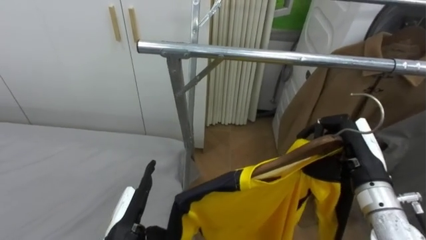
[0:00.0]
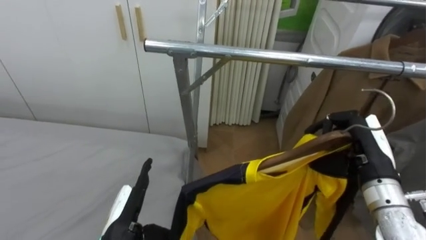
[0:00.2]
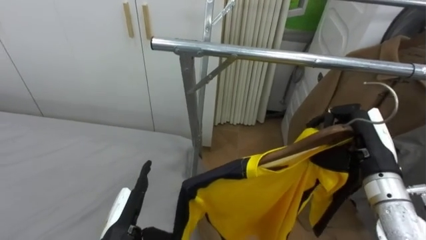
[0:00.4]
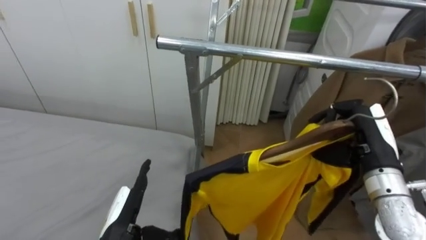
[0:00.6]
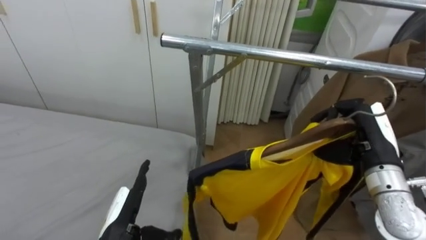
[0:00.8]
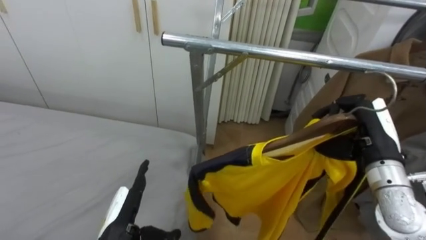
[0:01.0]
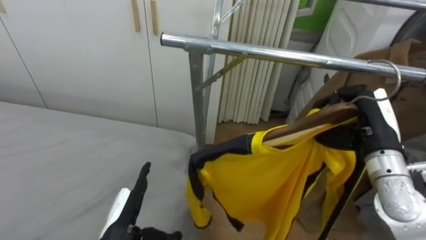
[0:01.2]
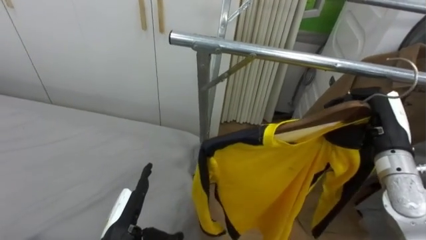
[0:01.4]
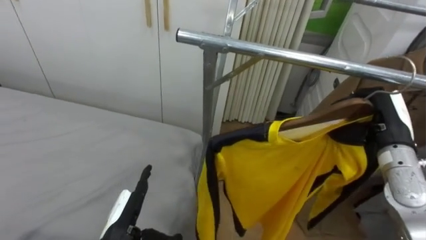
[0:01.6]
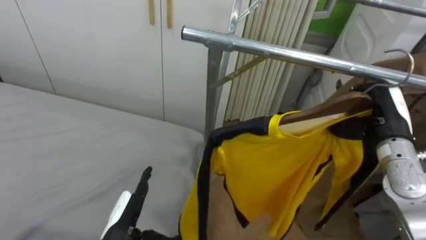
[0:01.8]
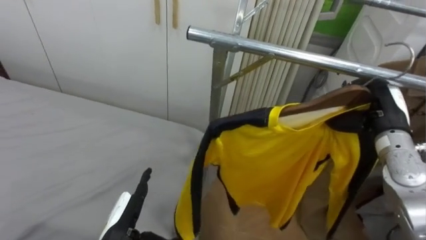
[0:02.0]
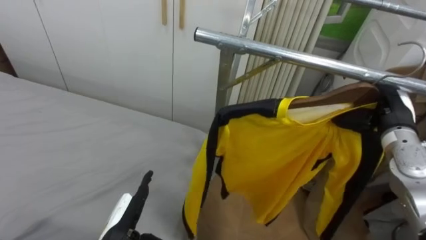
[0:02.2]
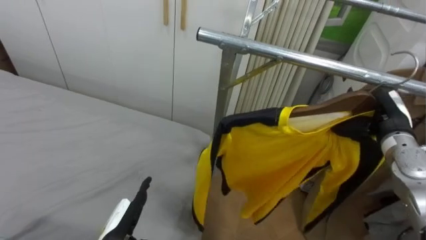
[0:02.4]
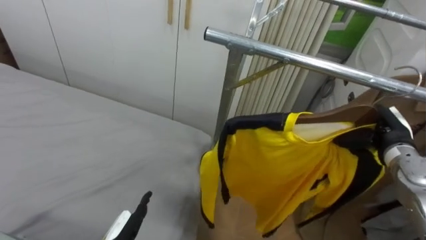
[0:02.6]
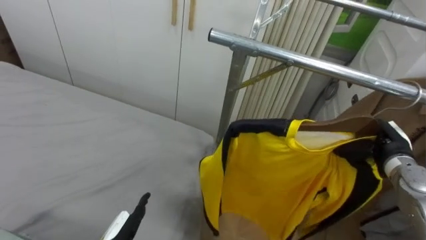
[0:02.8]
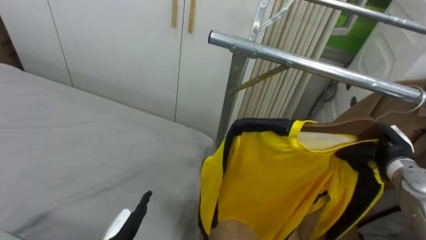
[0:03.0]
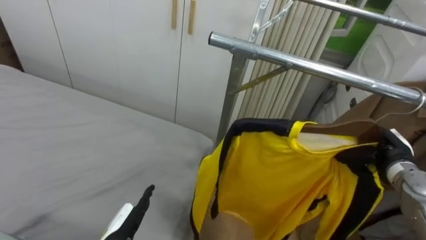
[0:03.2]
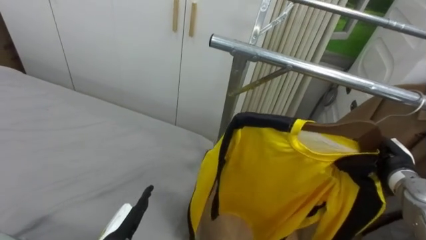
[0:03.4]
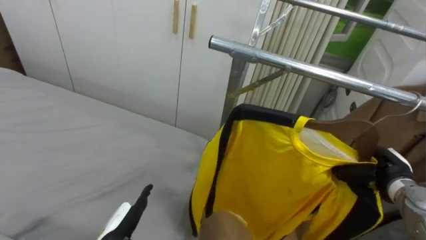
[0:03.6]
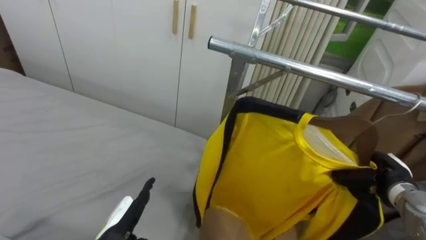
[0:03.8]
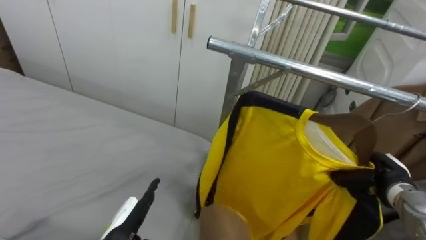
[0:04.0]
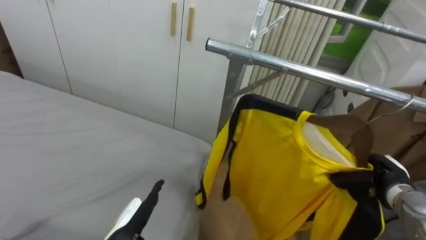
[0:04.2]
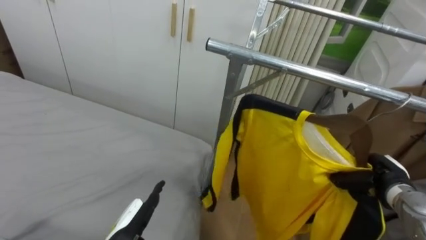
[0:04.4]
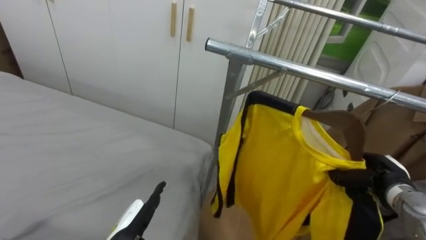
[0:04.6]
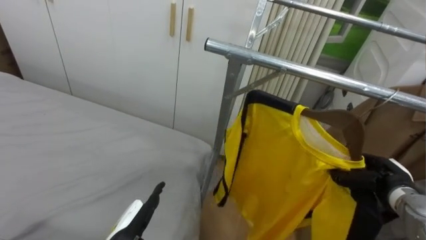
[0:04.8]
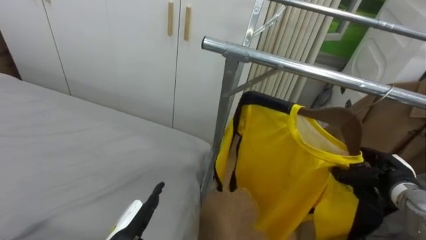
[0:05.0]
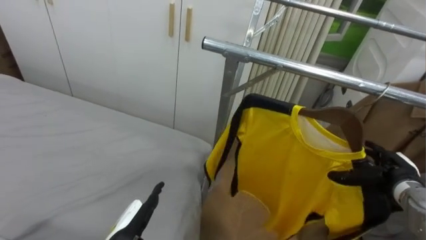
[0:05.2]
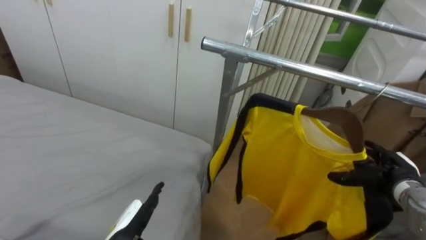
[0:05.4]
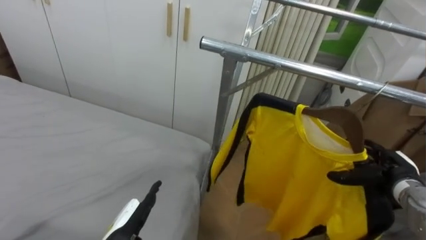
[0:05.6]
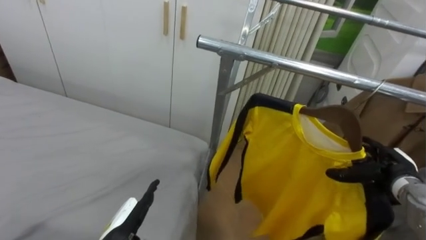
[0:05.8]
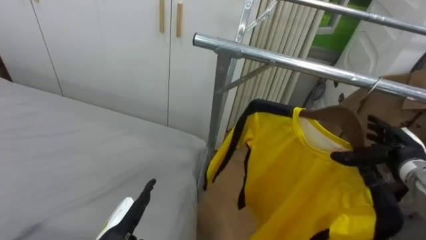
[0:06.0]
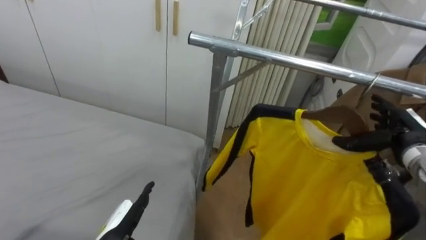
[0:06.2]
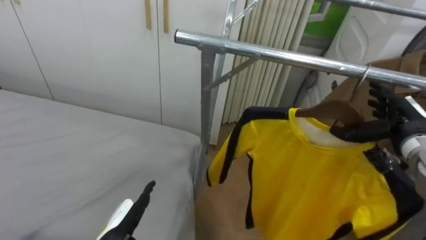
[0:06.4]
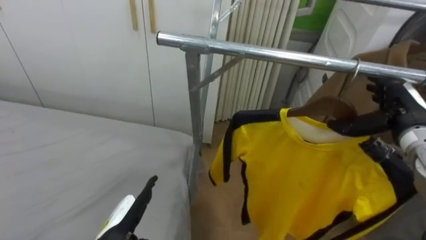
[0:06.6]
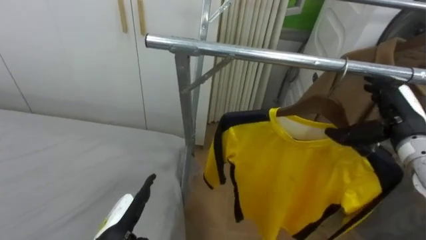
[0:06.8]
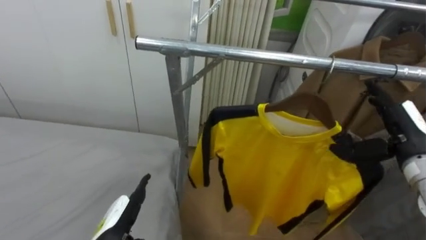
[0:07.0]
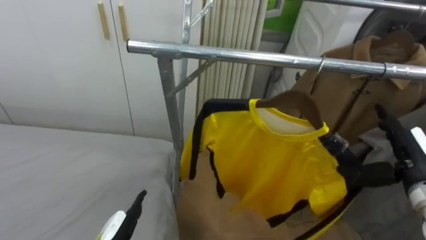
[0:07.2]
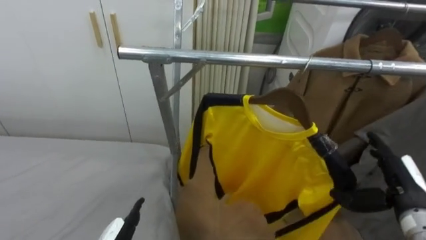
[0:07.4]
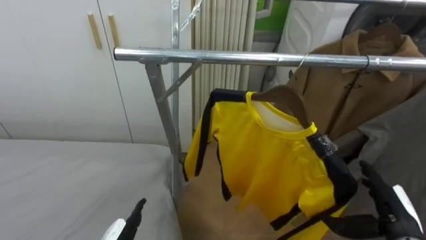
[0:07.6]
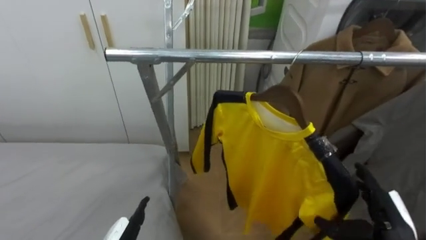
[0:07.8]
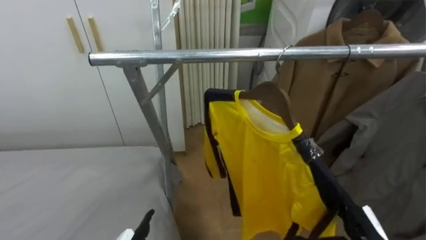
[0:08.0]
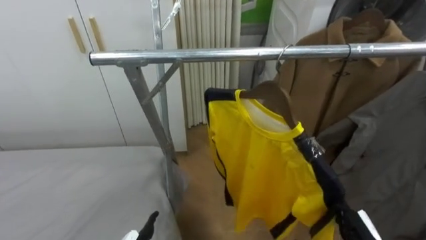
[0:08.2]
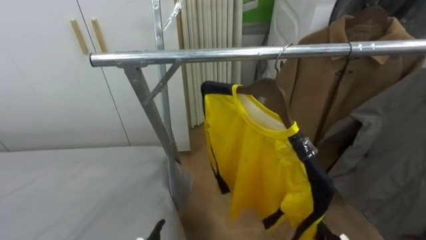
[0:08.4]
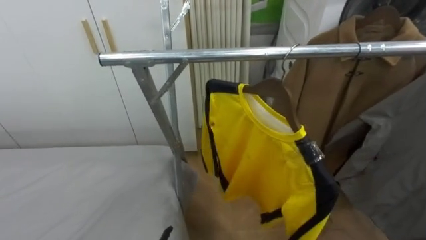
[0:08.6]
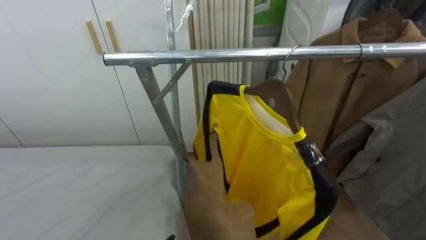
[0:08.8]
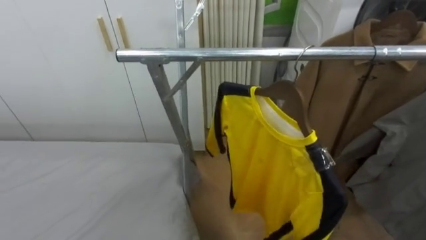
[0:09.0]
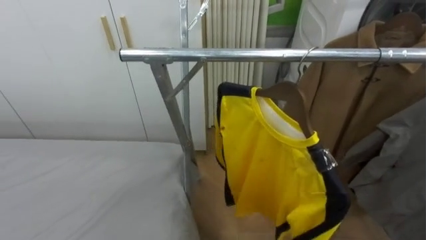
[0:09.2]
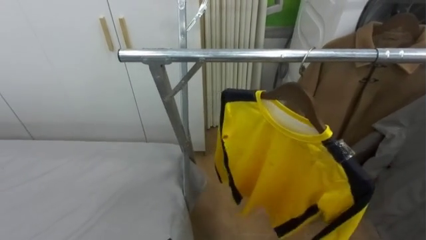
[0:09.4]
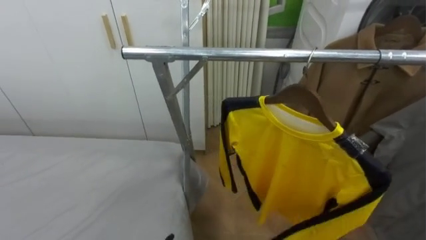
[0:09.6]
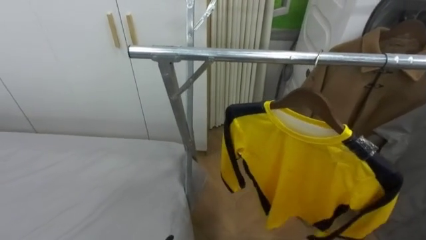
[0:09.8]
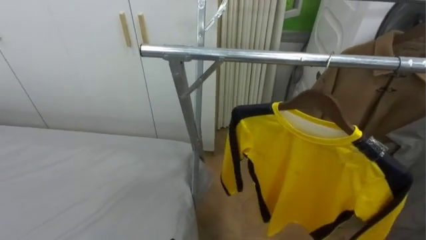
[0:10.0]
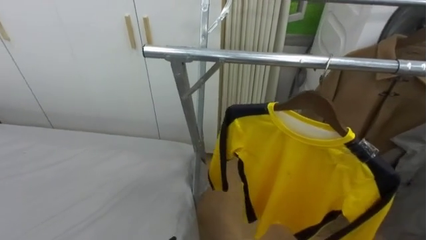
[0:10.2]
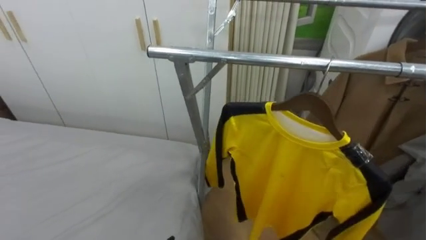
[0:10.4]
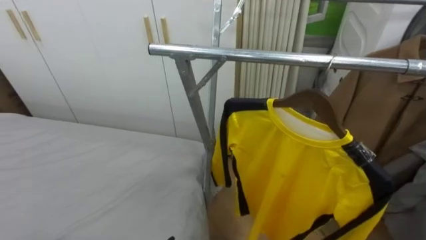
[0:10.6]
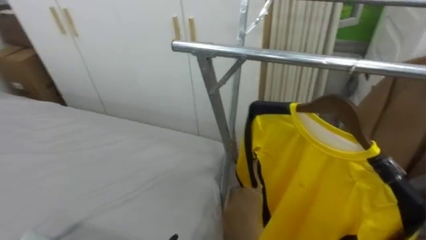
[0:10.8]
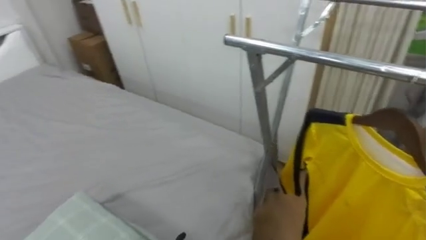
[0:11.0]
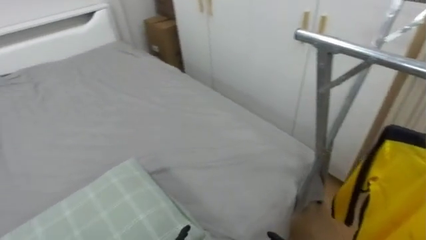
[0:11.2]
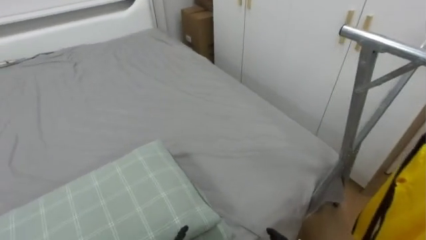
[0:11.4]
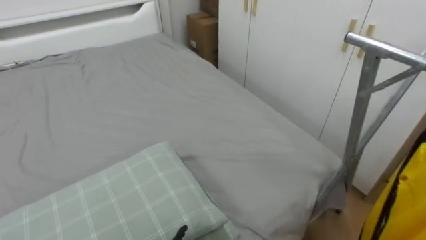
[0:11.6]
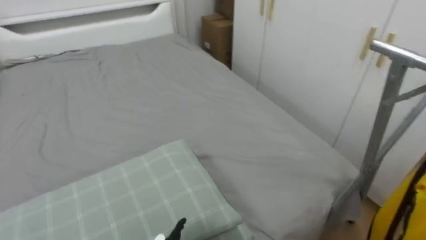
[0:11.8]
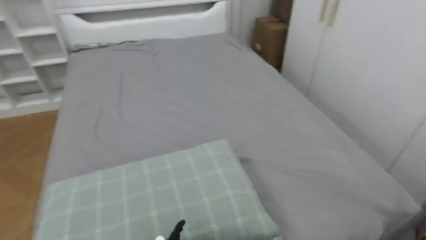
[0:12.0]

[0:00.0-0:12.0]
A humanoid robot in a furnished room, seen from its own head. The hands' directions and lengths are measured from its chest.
Task of the whole recording: Pick up the yellow shirt on the bed and hang it on the clothes rack on the right.
0:00.0 to 0:01.6: The right hand is displaced to the right by roughly 5 cm.
0:01.6 to 0:03.0: The right hand goes some 10 cm downward.
0:03.0 to 0:04.4: The right hand is displaced downward by some 5 cm.
0:04.4 to 0:06.0: The right hand changes place by about 5 cm, and opens up.
0:06.0 to 0:07.6: The right hand goes about 10 cm backward, and travels upward and back again, some 10 cm each way.
0:10.4 to 0:12.0: The robot's body swings some 65 degrees to its left.

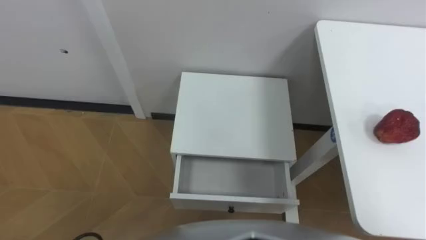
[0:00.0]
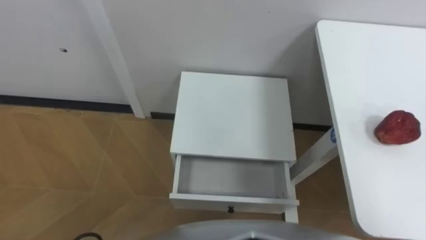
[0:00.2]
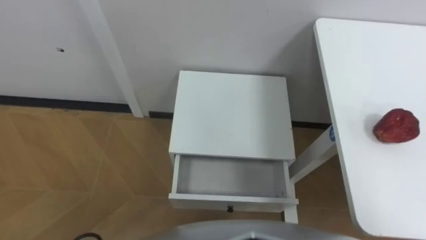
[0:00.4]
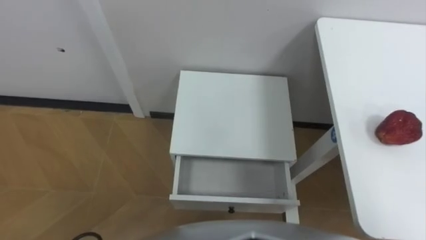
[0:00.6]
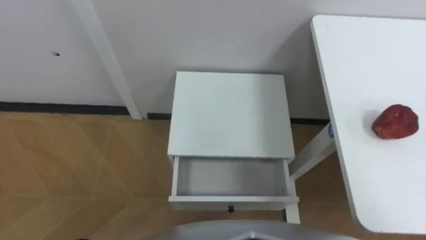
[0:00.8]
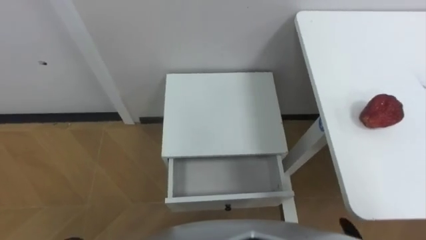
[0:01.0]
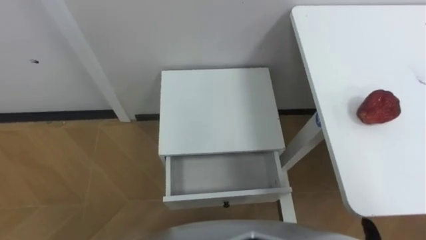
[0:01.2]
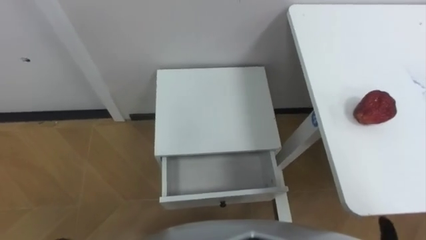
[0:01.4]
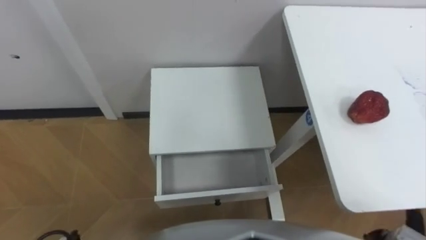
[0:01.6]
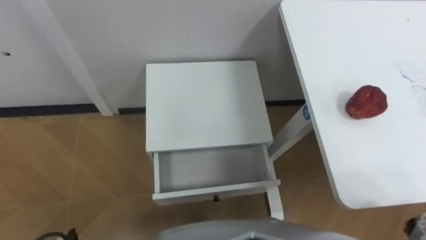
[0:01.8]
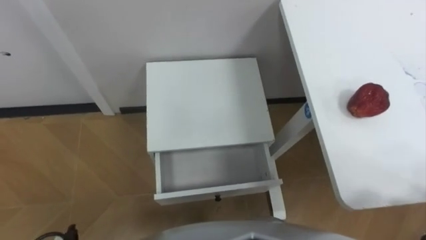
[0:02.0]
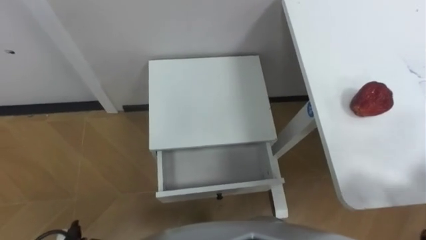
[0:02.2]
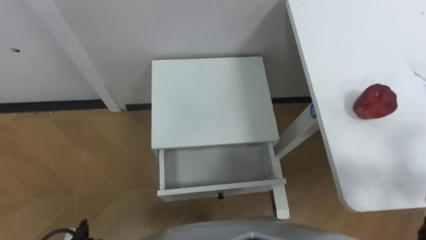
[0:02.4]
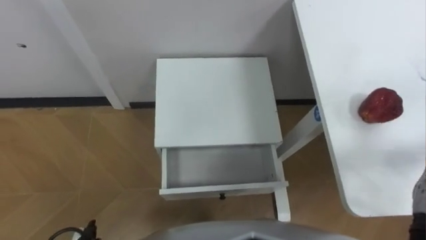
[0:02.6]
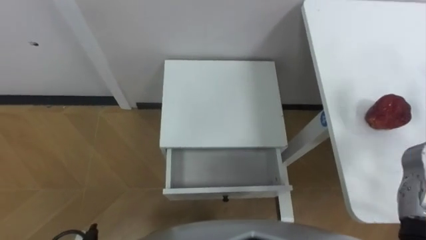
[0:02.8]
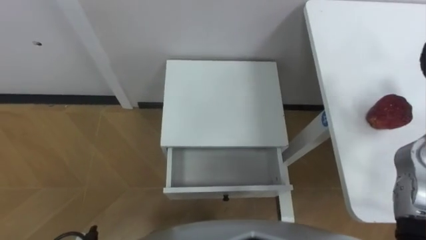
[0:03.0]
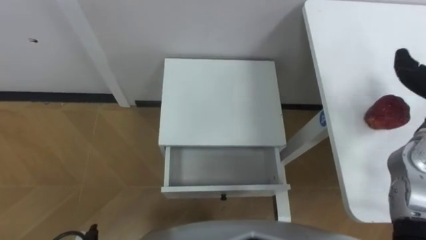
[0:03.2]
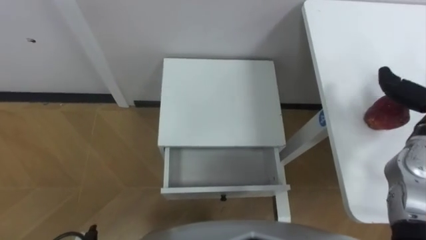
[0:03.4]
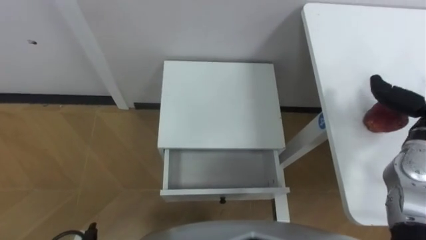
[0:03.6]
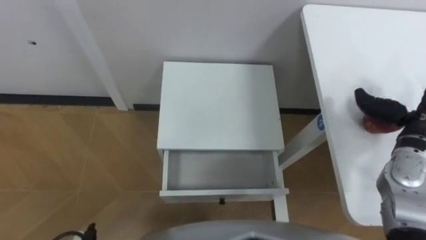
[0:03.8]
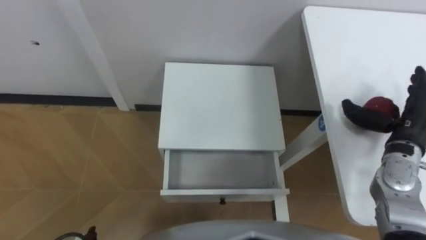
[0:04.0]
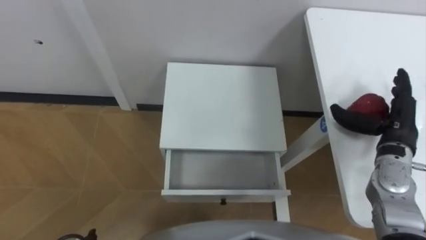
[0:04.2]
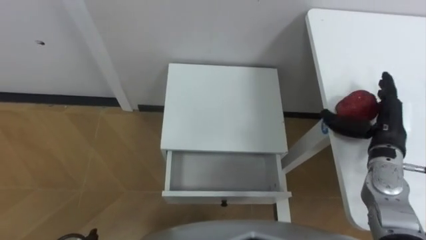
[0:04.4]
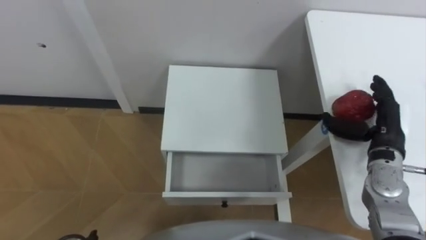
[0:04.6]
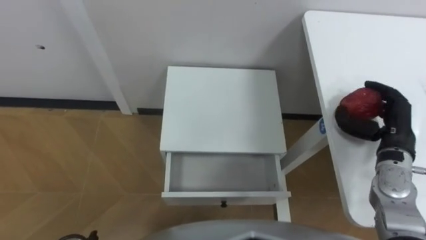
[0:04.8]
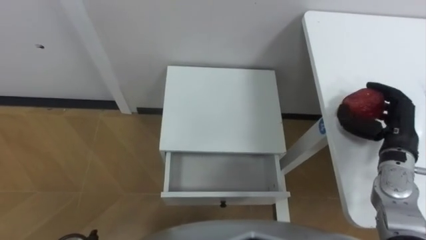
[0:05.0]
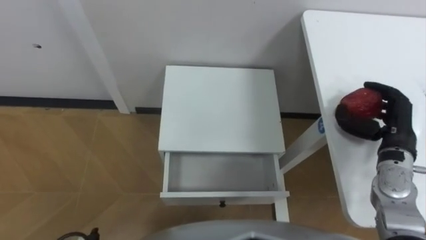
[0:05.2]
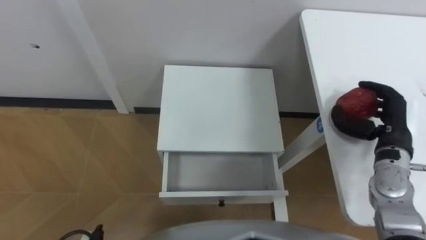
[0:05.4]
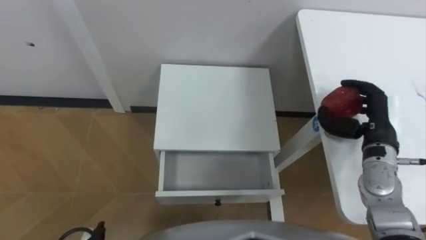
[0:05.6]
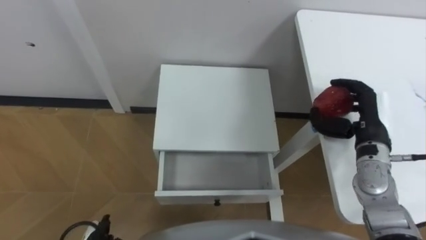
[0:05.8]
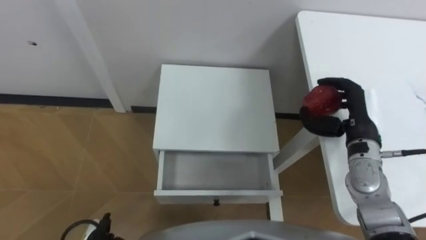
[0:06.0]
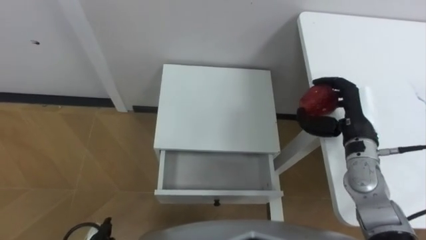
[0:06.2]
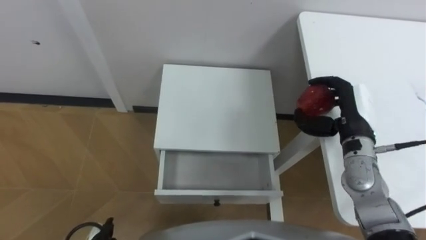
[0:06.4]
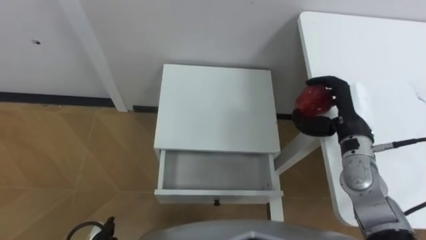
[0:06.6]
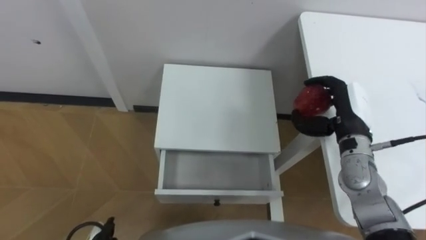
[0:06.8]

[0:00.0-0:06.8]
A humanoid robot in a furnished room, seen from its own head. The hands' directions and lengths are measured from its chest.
Task of the whole recording: Pick up the apple from the table, put it in the drawer, and close the drawer with leg.
0:04.0 to 0:05.4: The right hand closes.
0:05.4 to 0:06.8: The right hand moves to the left, roughly 10 cm.
